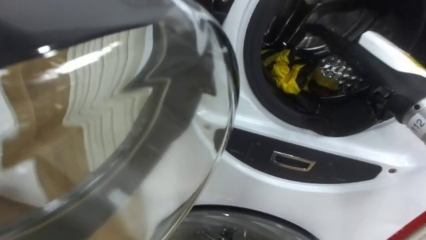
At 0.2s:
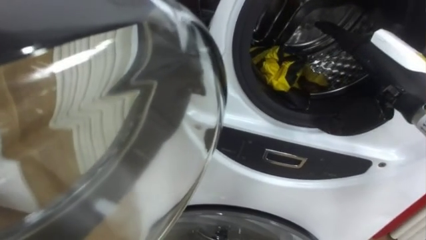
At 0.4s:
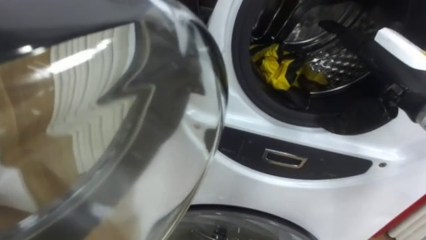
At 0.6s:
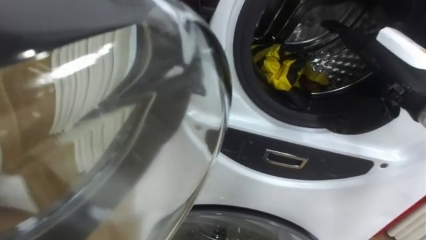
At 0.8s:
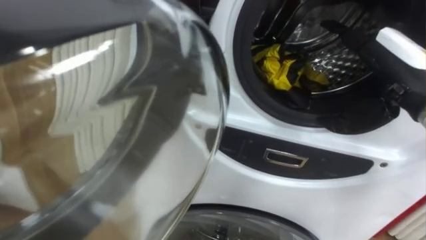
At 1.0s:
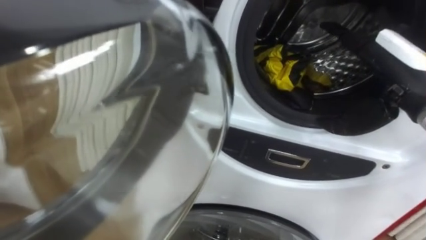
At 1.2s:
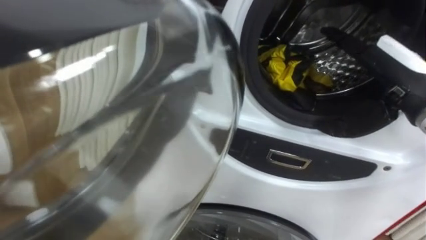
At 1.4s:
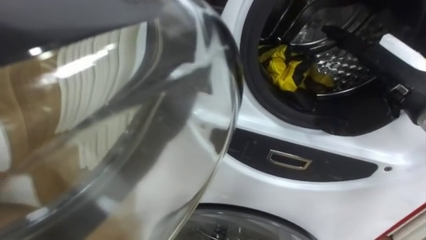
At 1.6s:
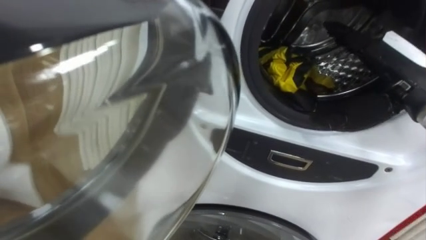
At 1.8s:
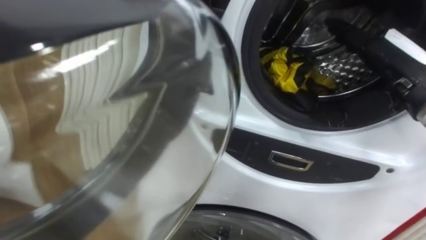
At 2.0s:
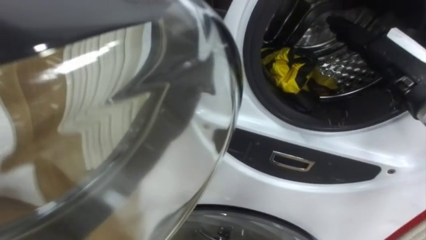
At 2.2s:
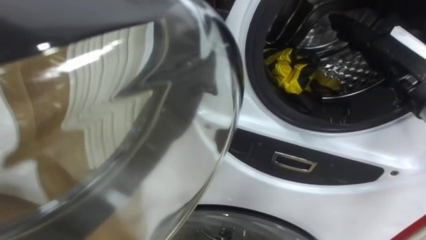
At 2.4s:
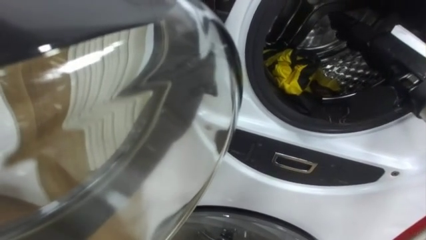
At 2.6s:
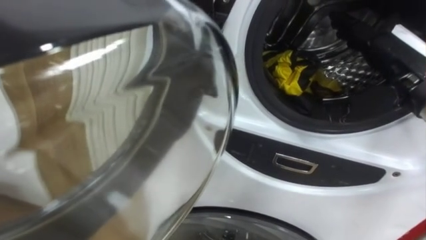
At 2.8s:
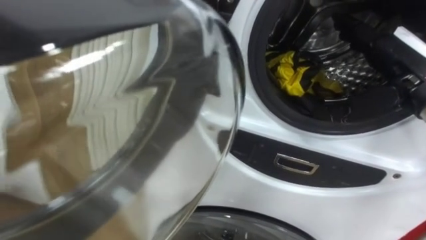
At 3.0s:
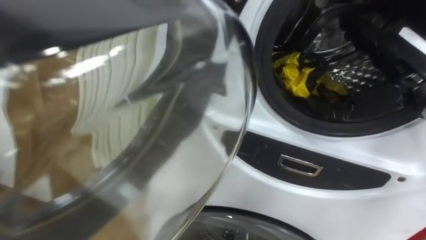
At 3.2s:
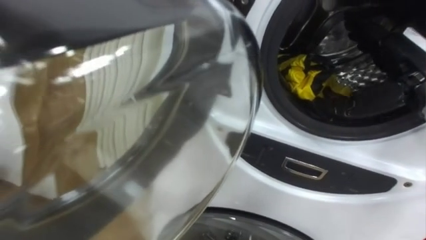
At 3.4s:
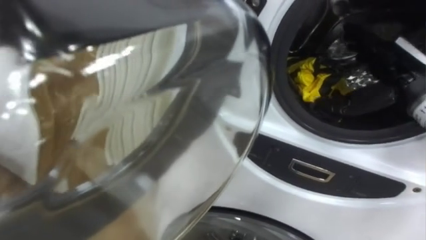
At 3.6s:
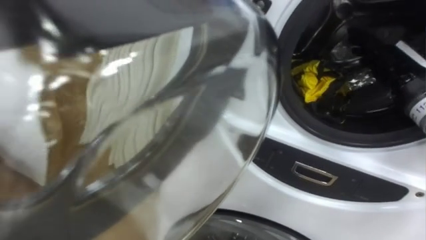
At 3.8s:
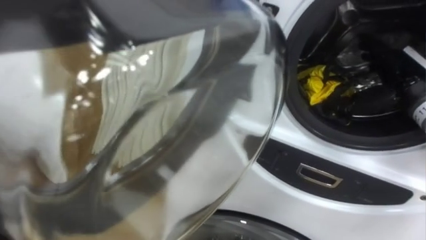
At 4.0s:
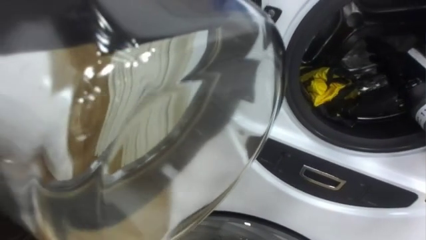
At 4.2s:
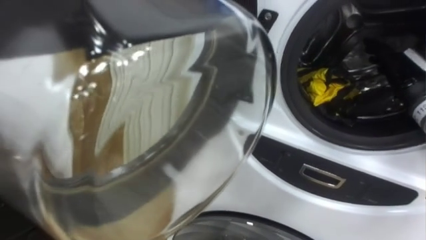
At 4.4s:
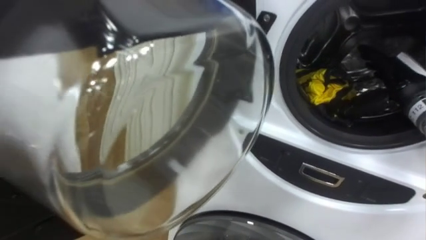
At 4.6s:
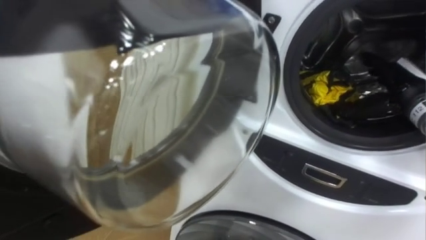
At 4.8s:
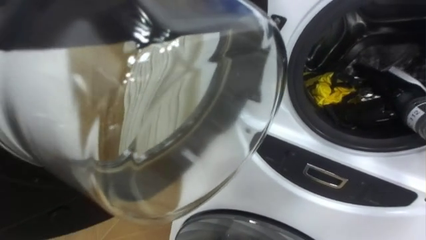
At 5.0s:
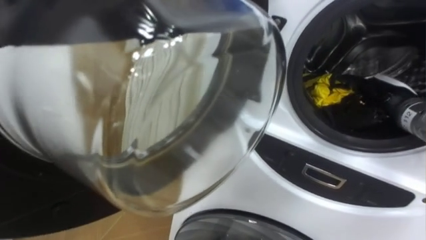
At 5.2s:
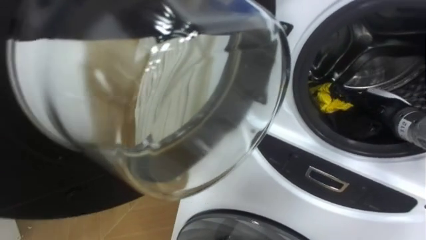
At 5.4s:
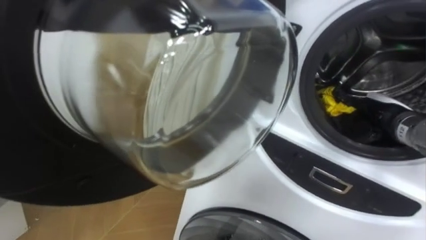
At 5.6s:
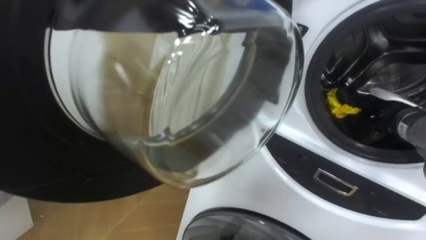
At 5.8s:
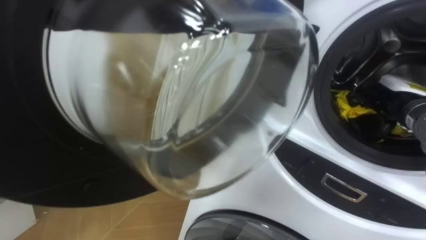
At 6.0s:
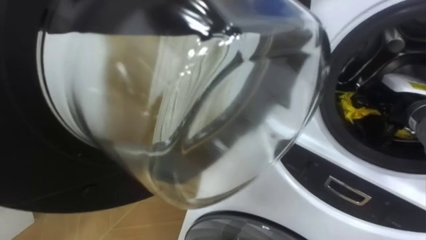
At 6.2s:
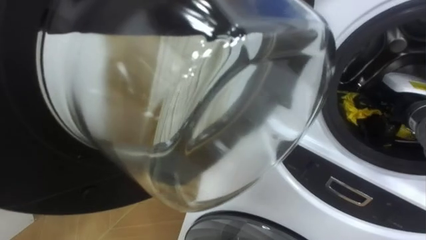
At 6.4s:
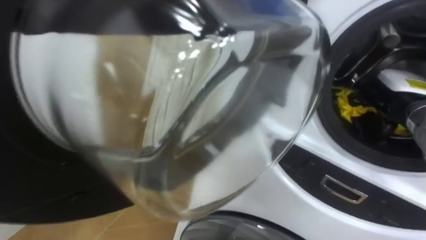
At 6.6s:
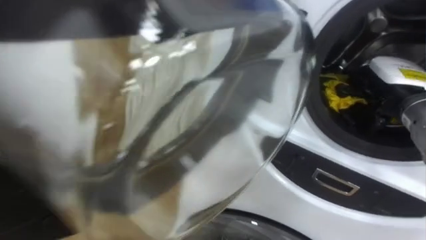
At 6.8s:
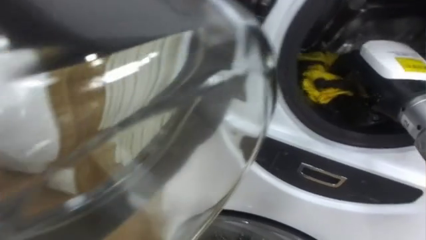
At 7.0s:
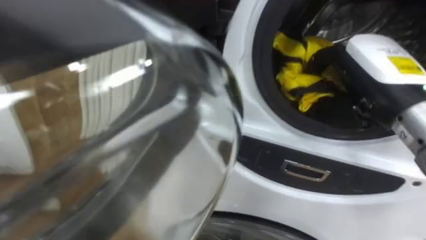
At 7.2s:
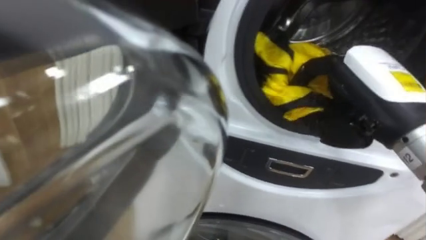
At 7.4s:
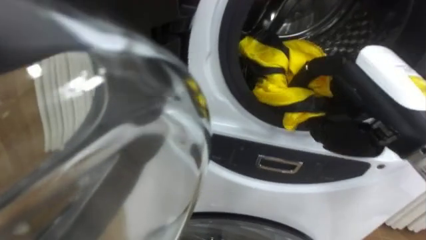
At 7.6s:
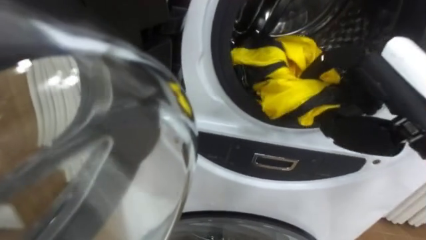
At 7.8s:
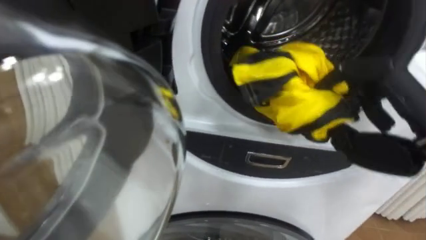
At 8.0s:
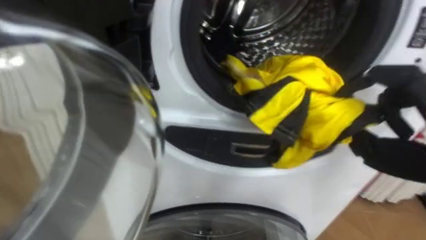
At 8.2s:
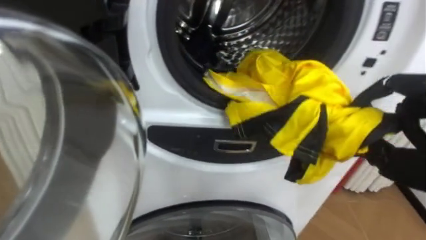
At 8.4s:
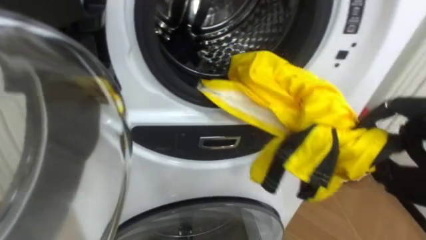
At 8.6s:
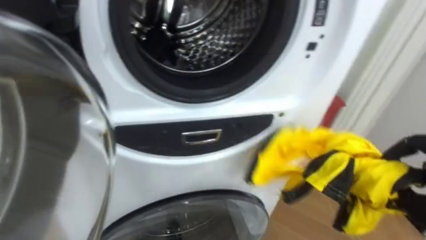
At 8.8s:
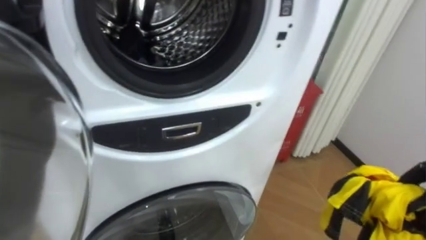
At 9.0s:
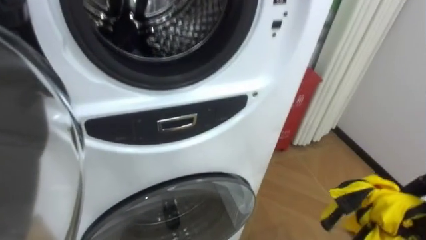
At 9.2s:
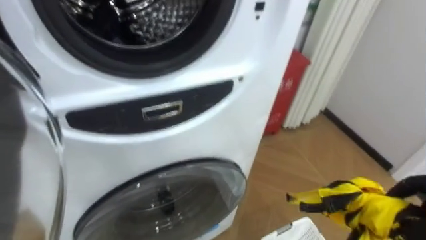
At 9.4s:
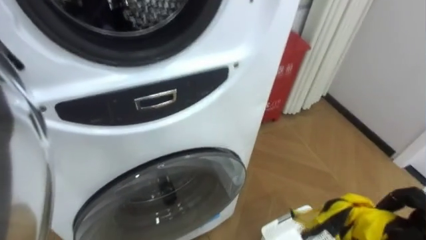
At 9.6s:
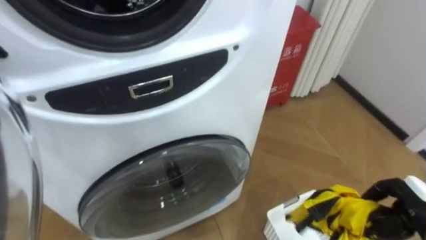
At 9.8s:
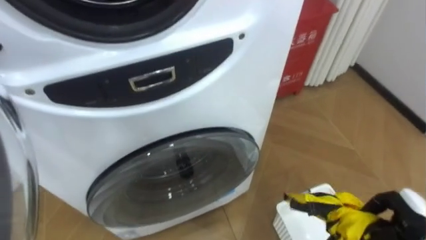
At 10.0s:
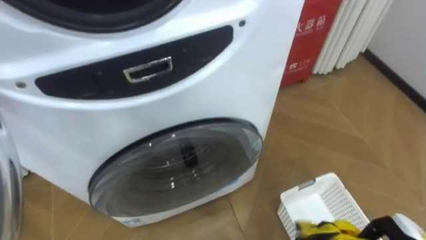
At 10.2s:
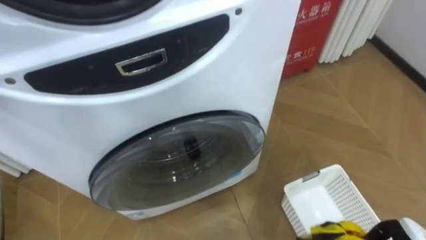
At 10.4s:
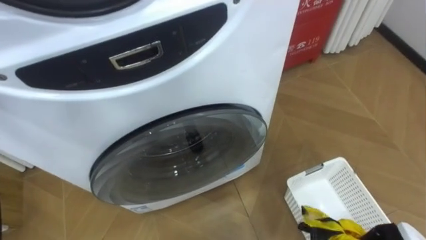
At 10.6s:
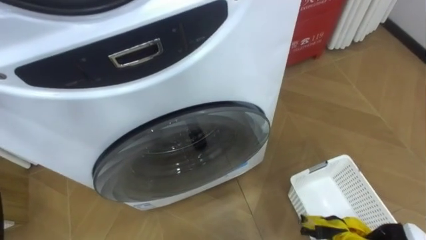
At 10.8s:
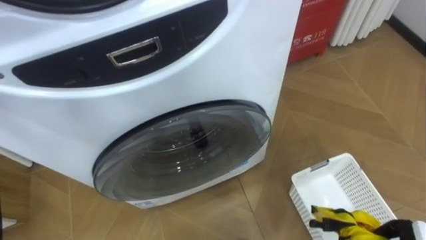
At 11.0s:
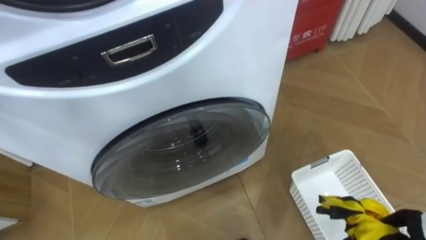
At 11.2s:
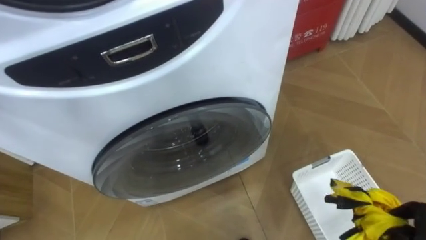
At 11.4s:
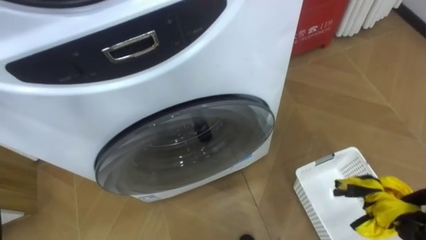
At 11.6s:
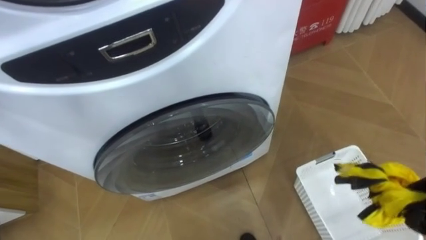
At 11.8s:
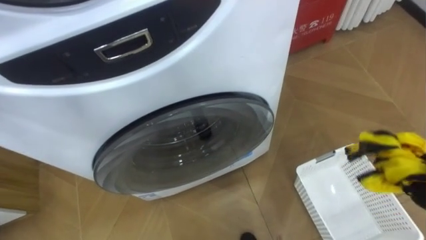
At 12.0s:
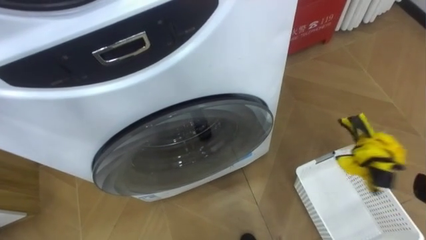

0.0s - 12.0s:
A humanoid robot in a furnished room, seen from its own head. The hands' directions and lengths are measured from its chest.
Task of the whole recording: Open the washing machine door, take out the yellow clothes, place them in the box on the right, and close the washing machine door.
3.0s - 4.4s: The right hand goes roughly 10 cm downward and forward.
4.4s - 6.0s: The right hand closes its fingers.
6.0s - 7.6s: The right hand goes roughly 20 cm backward, upward and to the left.
7.6s - 9.0s: The robot faces about 20 degrees further to its right.

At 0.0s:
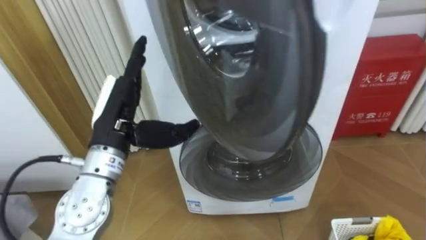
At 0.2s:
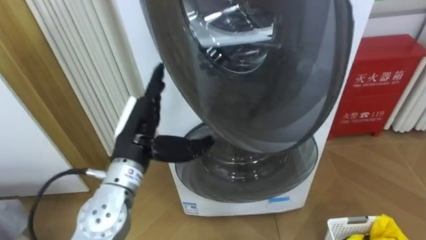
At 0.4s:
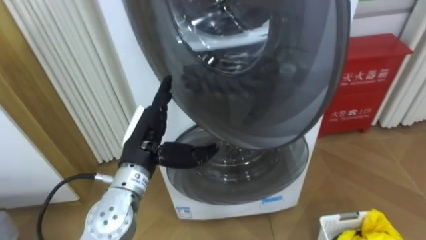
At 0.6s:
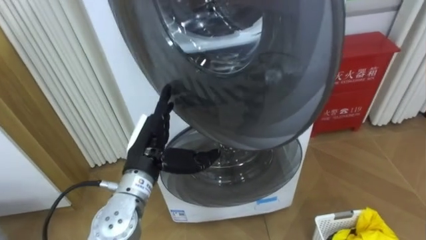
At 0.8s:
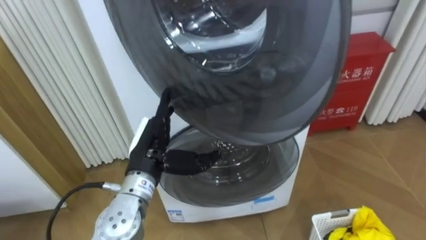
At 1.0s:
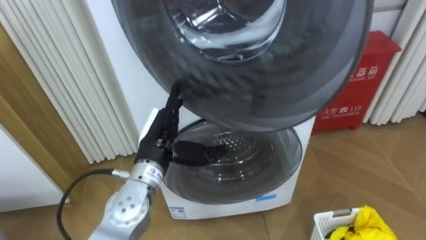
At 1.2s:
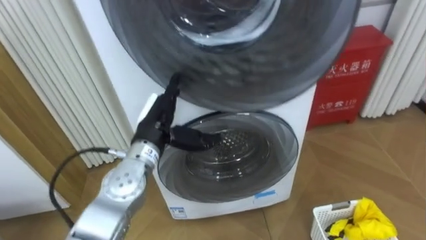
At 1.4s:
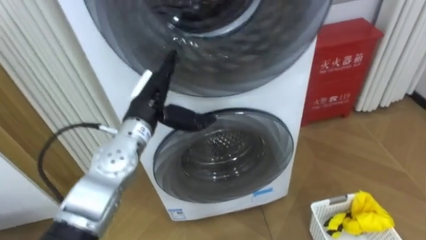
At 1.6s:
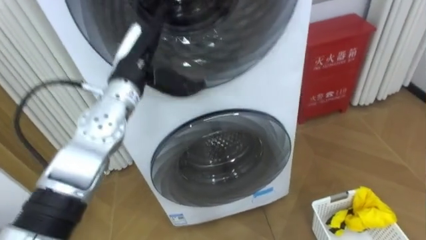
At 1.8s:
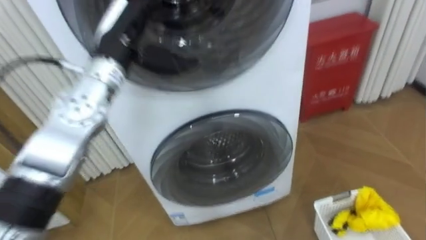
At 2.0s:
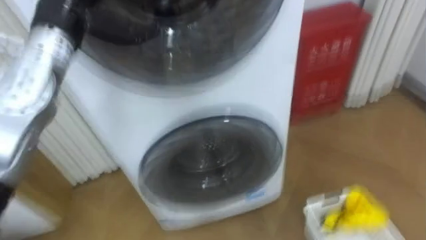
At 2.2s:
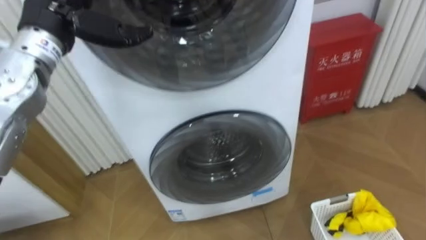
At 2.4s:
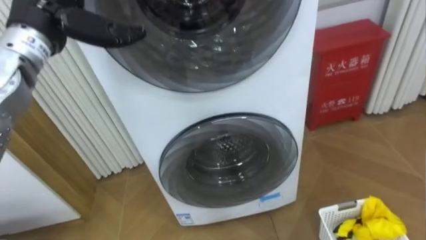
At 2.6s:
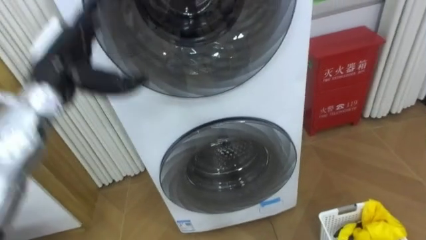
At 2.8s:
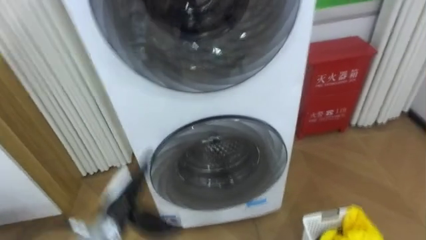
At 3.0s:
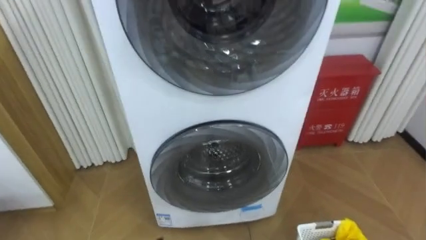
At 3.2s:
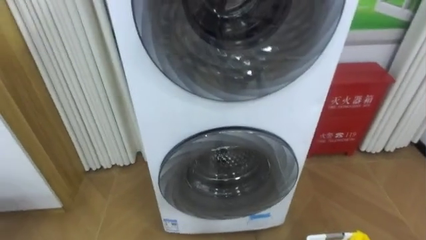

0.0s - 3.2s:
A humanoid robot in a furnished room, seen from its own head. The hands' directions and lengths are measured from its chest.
Task of the whole recording: Open the washing machine door, take out the yellow clothes, place them in the box on the right, and close the washing machine door.
0.0s - 1.6s: The left hand travels forward by some 10 cm, and goes downward and returns, roughly 10 cm each way.

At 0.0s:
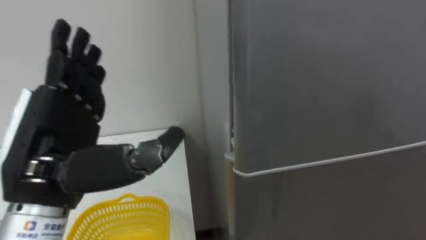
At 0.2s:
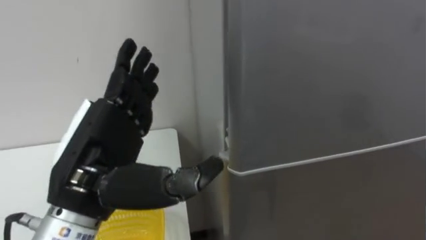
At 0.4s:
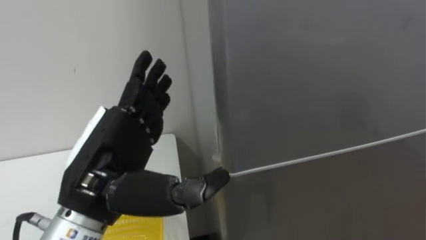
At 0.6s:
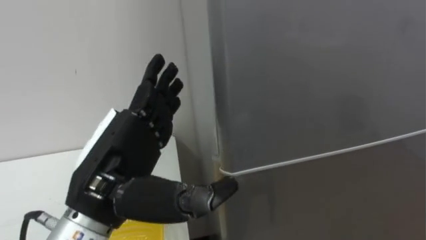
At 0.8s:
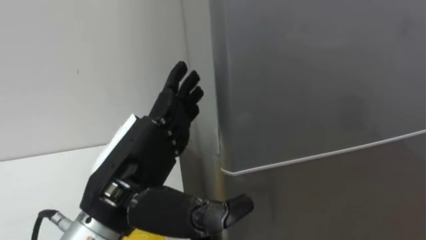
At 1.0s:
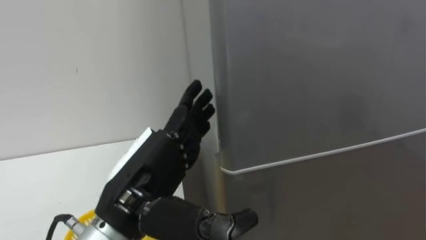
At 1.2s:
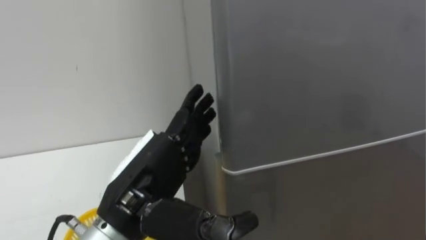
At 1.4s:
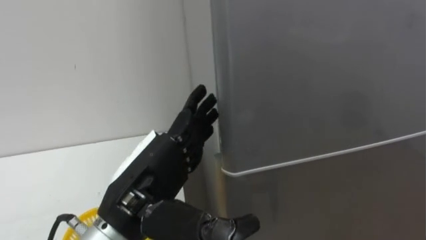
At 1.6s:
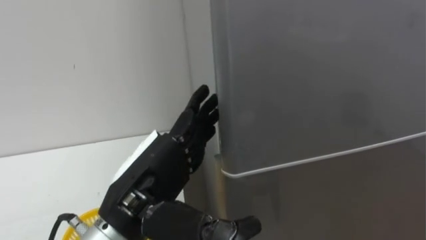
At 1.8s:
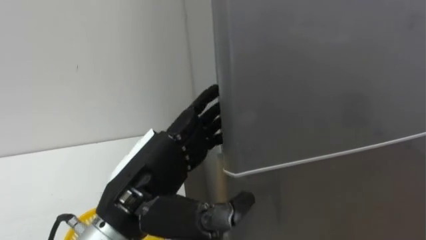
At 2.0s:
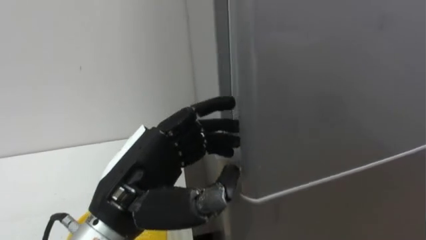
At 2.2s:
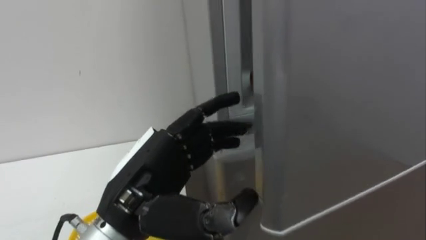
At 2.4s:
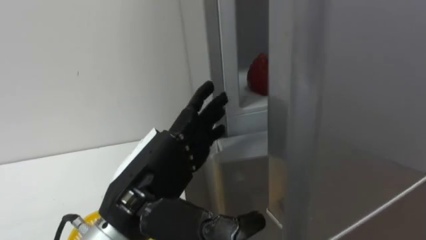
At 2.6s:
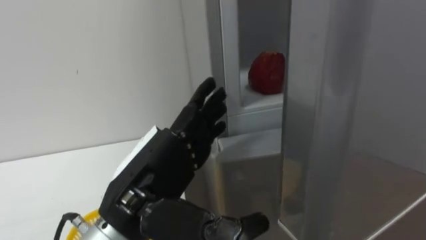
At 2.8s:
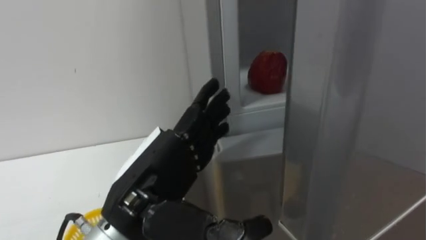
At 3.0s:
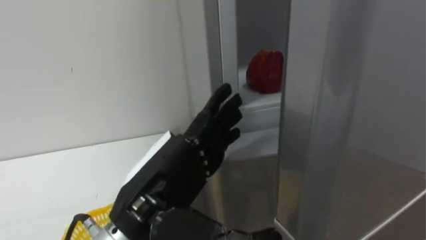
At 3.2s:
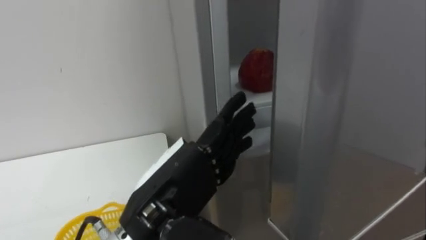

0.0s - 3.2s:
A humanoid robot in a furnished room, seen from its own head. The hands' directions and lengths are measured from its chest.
Task of the whole recording: Open the refrigerator door, take out the apple and the pomegranate, place them in the fruit basket on the left, and close the refrigerator door.
0.0s - 1.6s: The left hand moves to the right and downward, some 10 cm.
1.6s - 3.2s: The left hand closes, then reopens.
